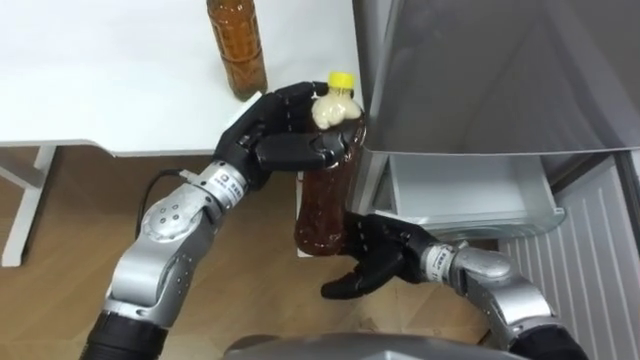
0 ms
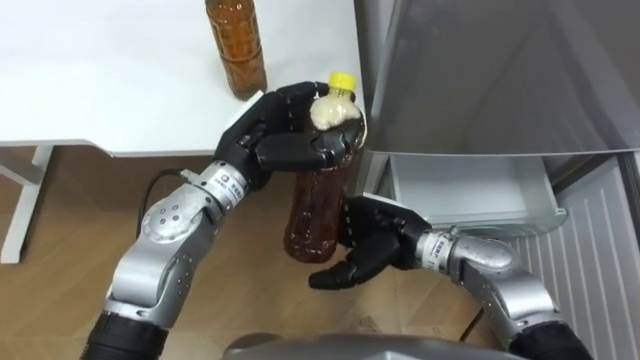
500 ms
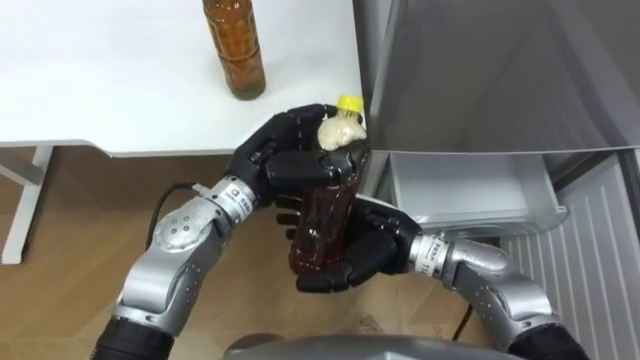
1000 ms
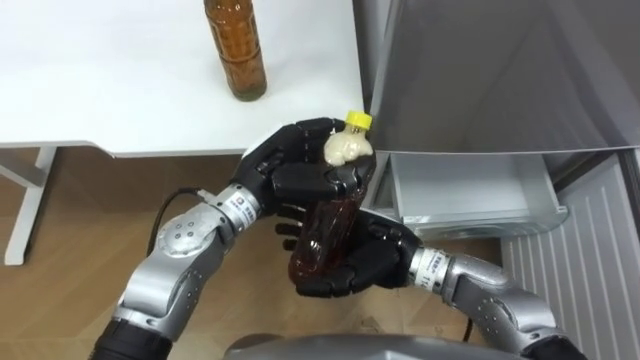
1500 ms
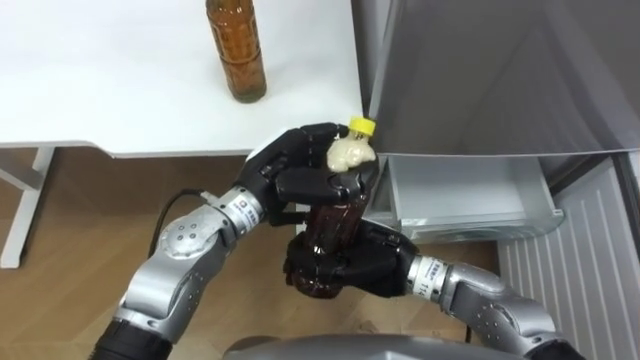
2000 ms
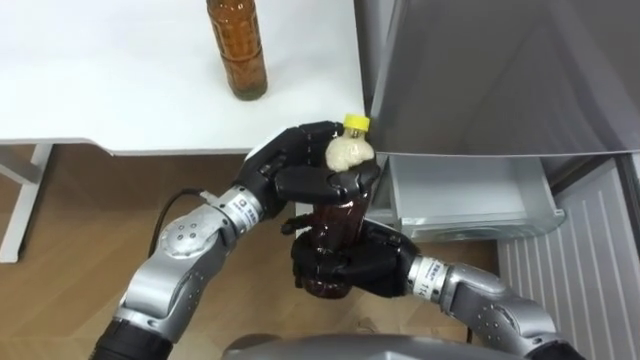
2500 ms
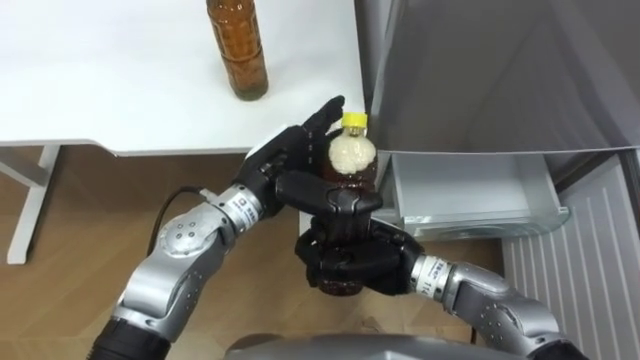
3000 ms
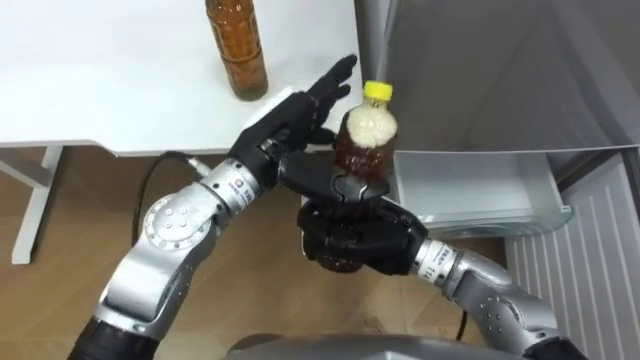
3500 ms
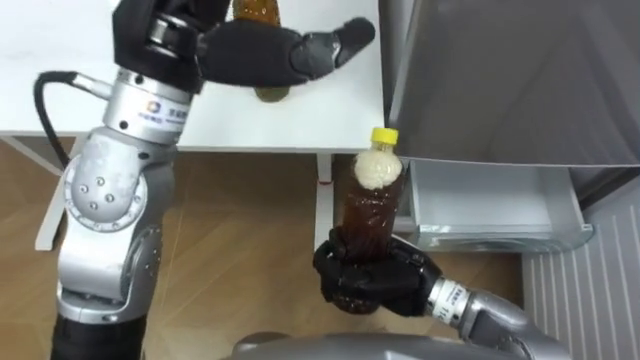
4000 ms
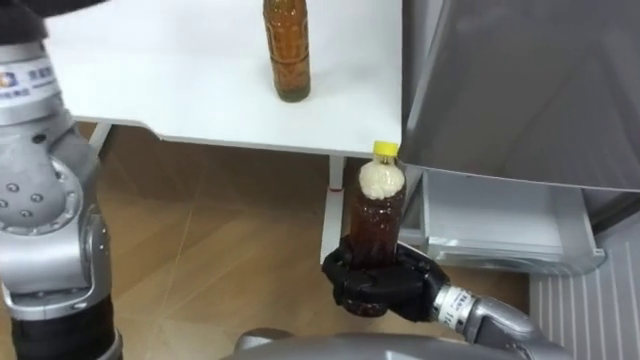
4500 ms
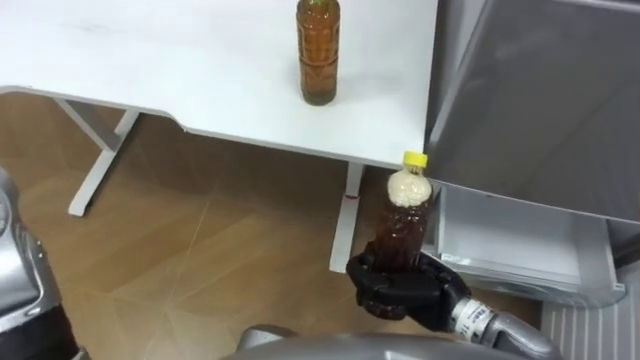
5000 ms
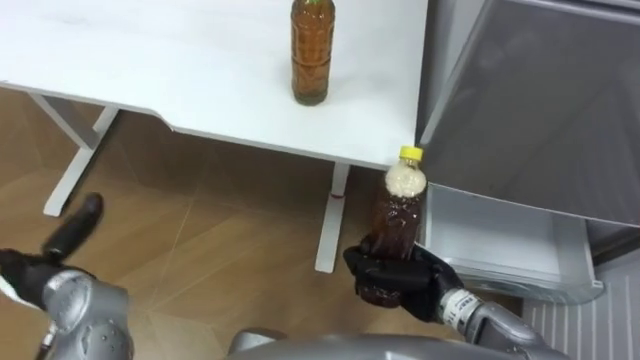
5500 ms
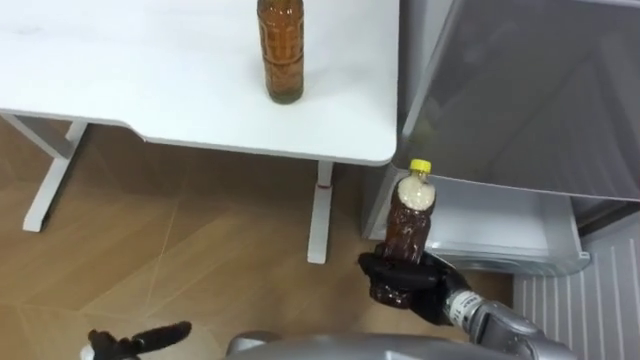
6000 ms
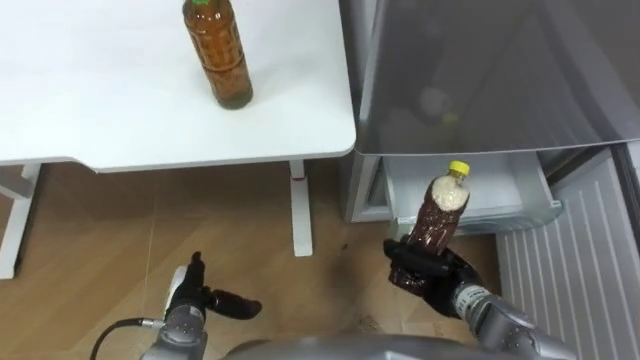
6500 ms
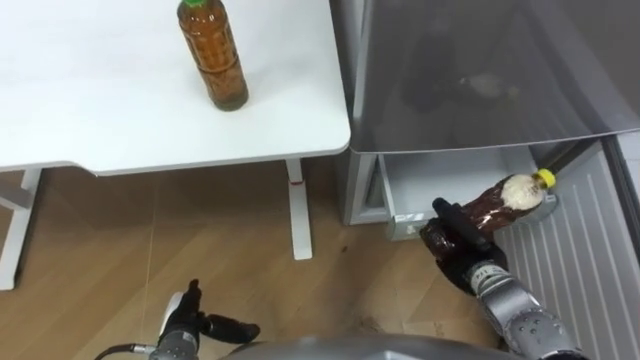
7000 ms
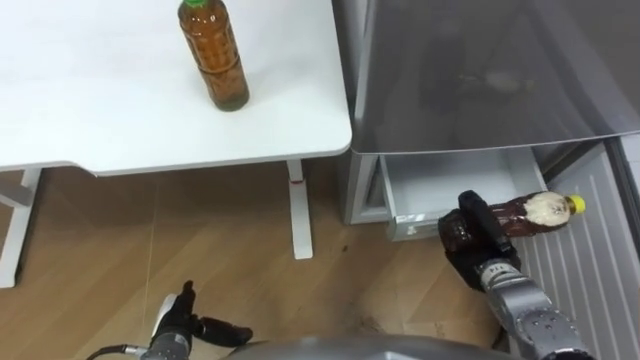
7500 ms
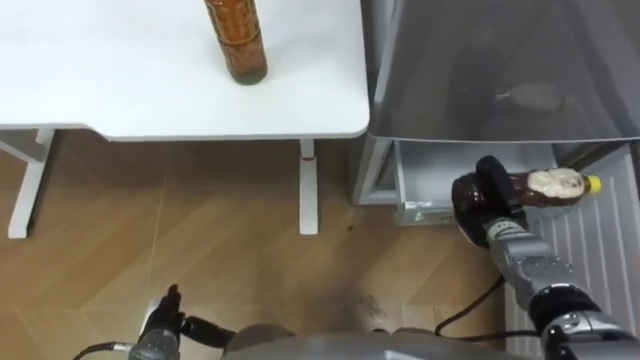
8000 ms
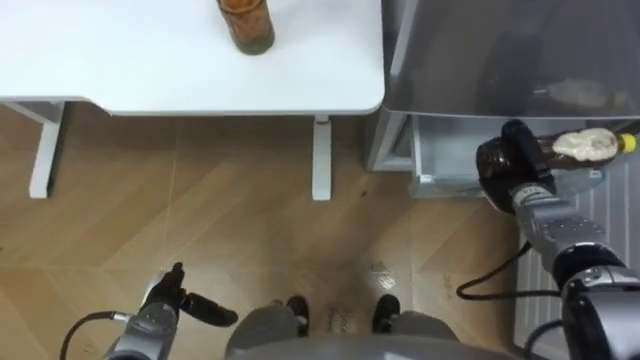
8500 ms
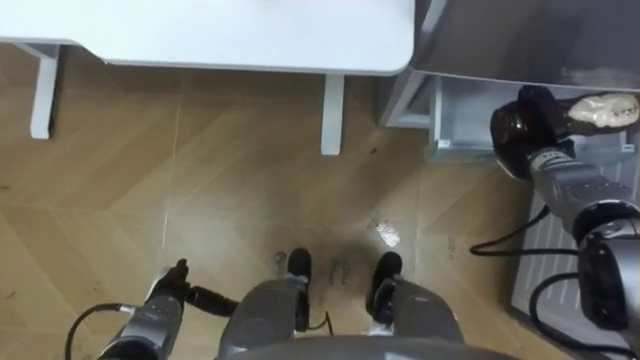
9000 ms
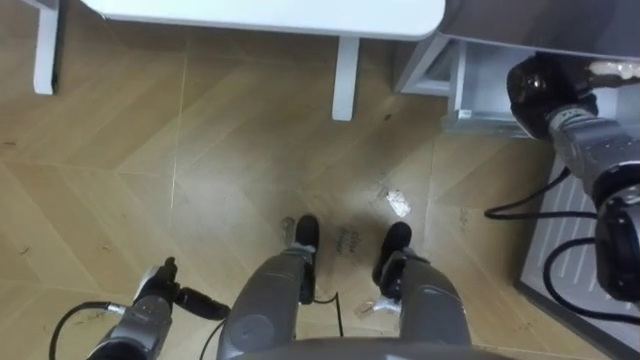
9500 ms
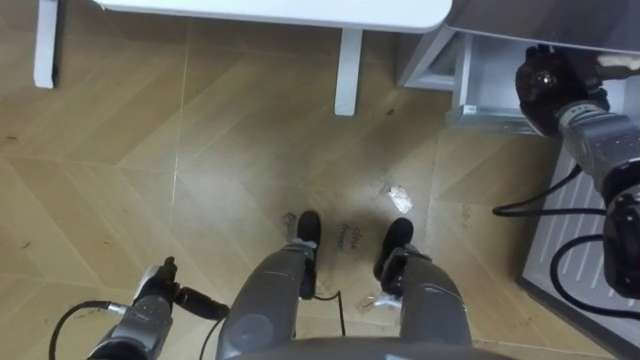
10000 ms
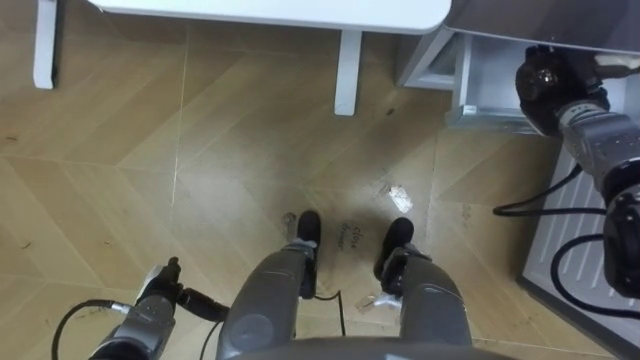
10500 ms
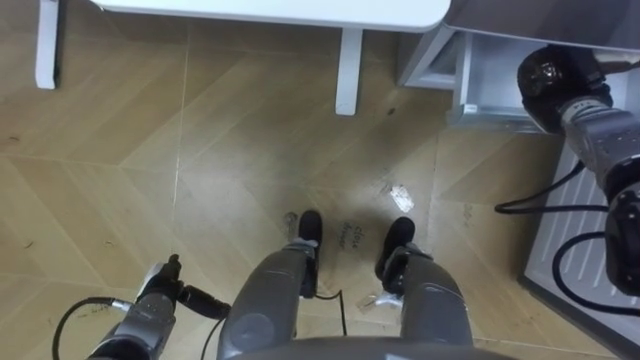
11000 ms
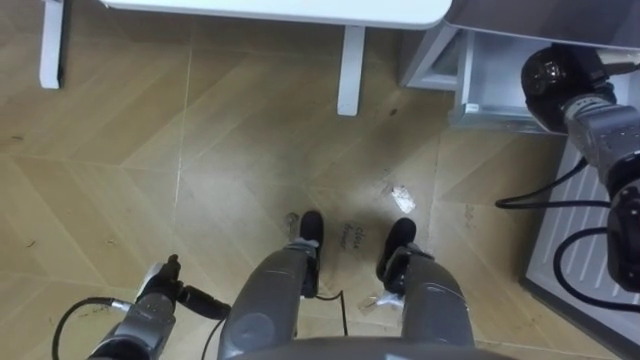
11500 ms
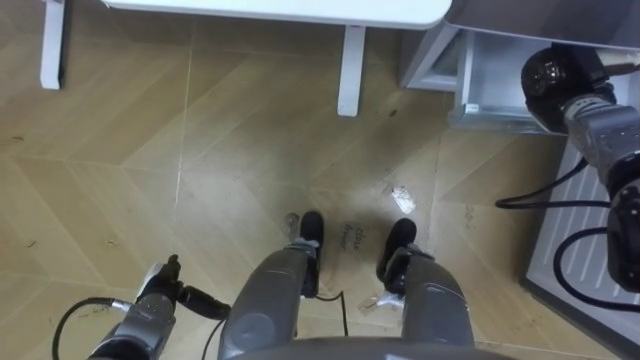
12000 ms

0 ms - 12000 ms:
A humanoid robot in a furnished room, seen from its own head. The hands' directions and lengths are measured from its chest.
Task of the whole recording: Place the drink on the table on the bottom shelf of the refrigerator, then close the drawer and the refrigerator door.
0 ms - 2000 ms: The right hand shifts by approximately 5 cm, and closes its fingers.
2000 ms - 4000 ms: The left hand heads upward, covering about 25 cm, and opens its fingers.
4000 ms - 6000 ms: The right hand shifts about 10 cm downward and to the right.
6000 ms - 8000 ms: The right hand is displaced to the right and forward by approximately 15 cm.
8000 ms - 10000 ms: The right hand moves forward, upward and to the right, about 20 cm.
10000 ms - 12000 ms: The two hands keep their place.

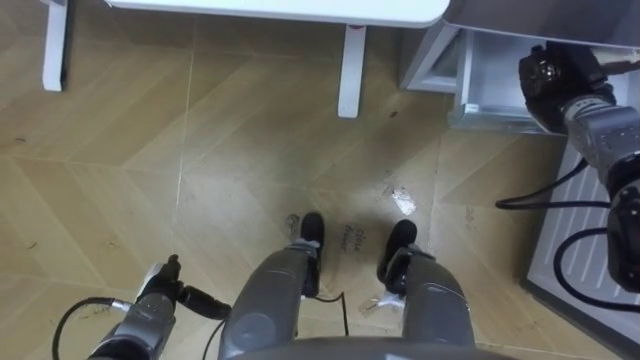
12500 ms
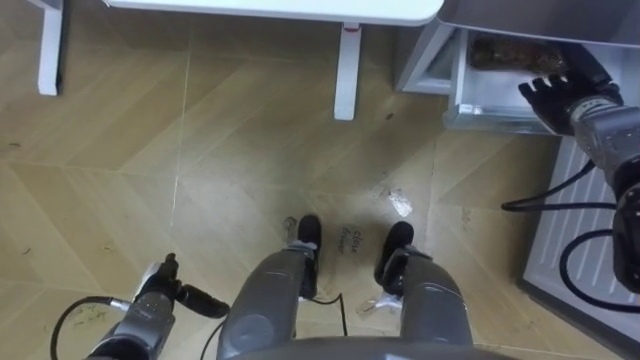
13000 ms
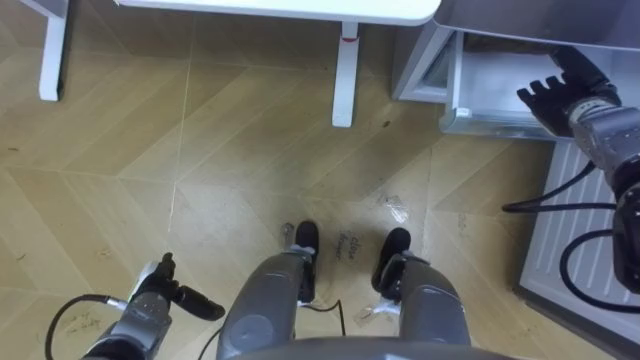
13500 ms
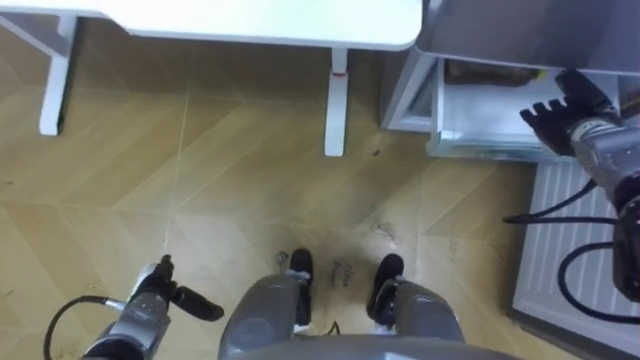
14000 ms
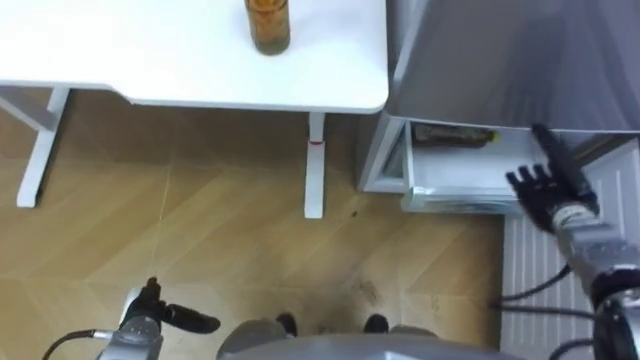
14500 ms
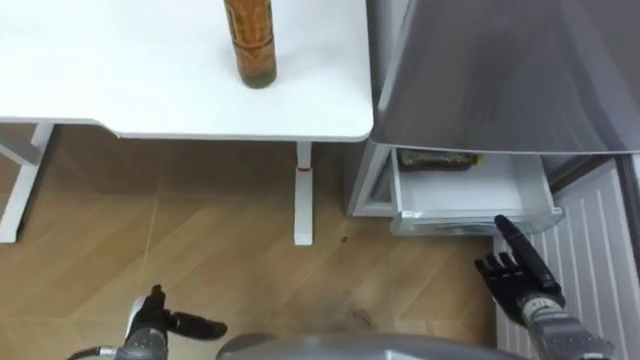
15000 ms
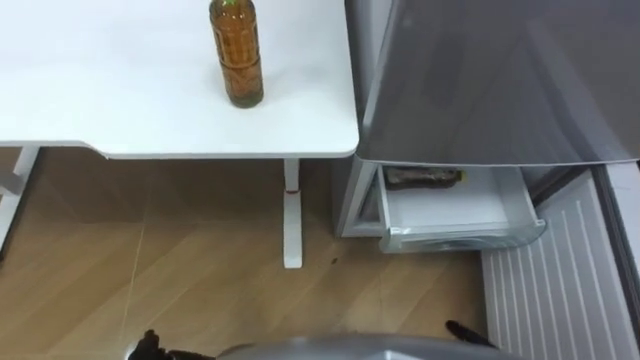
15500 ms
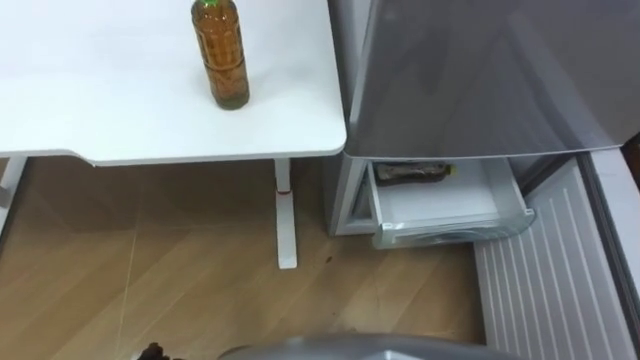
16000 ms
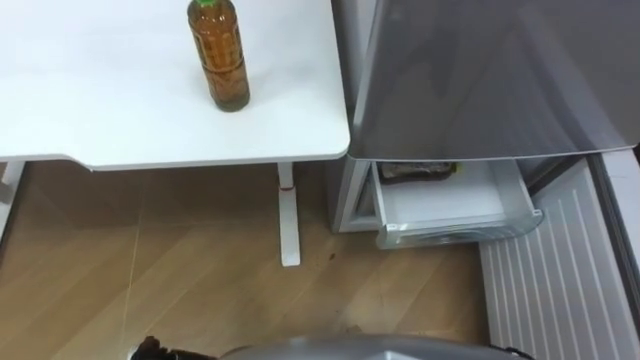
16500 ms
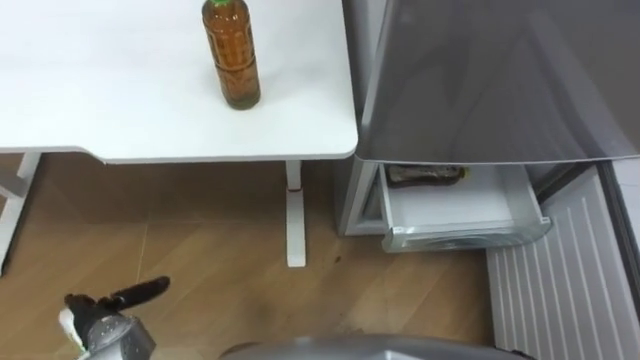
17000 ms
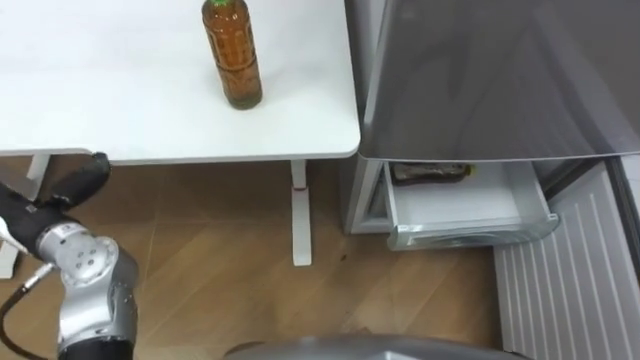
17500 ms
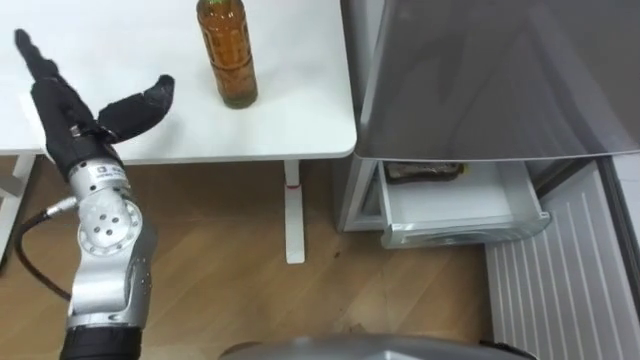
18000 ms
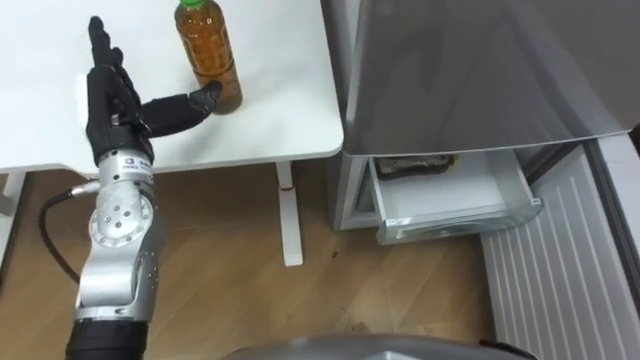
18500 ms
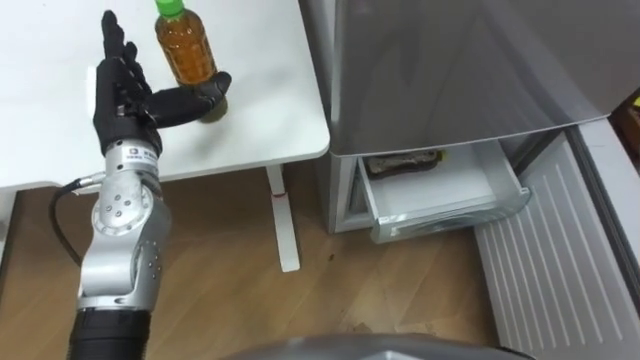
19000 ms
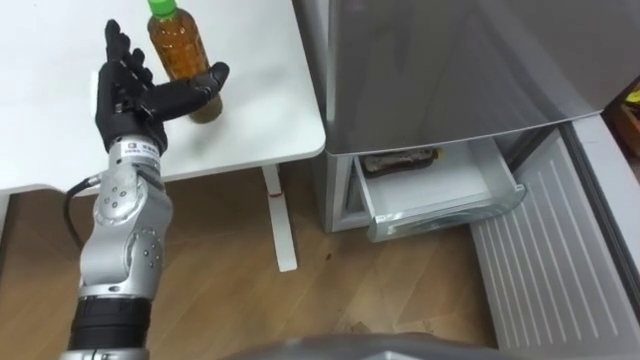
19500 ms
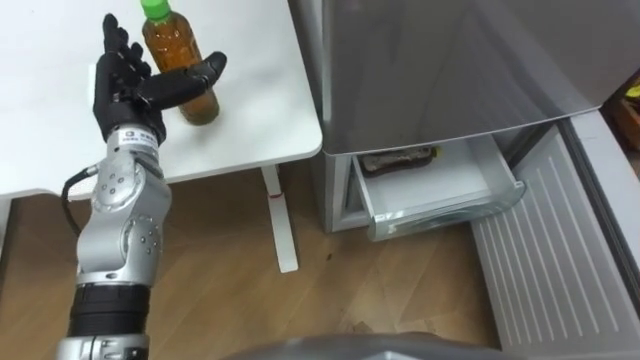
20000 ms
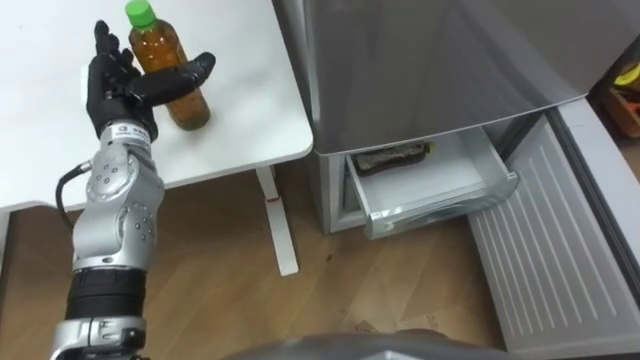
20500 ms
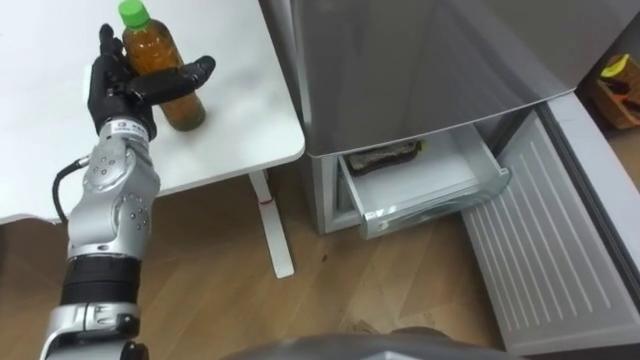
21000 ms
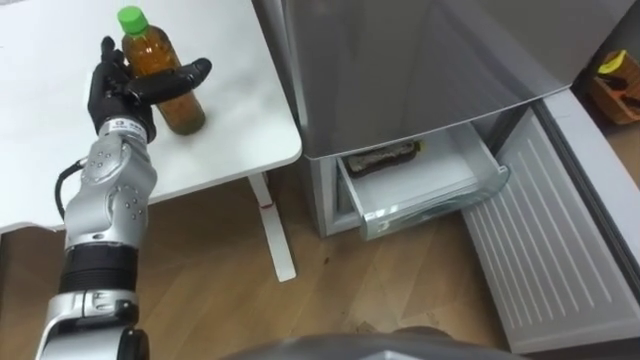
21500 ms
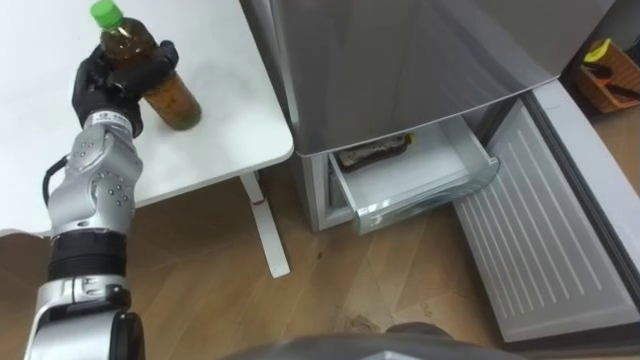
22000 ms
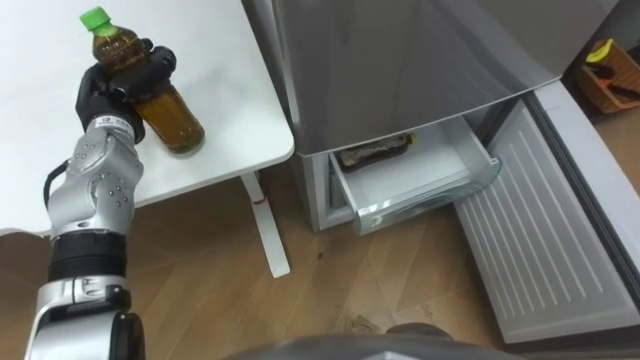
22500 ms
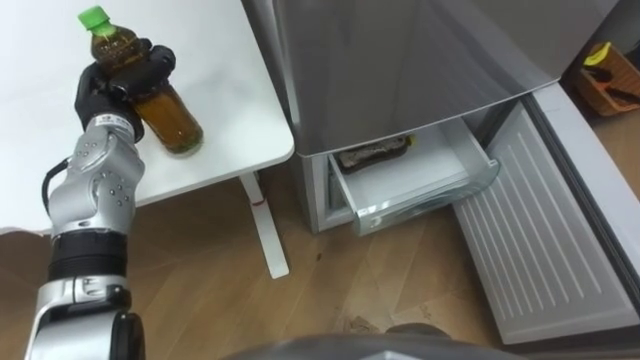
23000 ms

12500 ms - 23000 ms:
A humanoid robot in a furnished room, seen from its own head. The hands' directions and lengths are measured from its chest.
Task of the whole recording: Place the drink on the table on the bottom shelf of the refrigerator, then close the drawer and the refrigerator door.
12500 ms - 14500 ms: The right hand moves backward and downward, some 15 cm, and opens.
21000 ms - 23000 ms: The left hand closes up.
